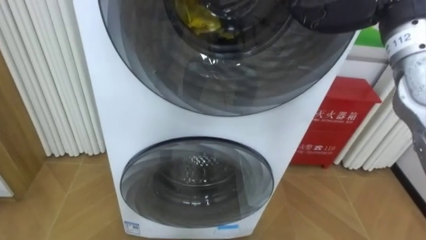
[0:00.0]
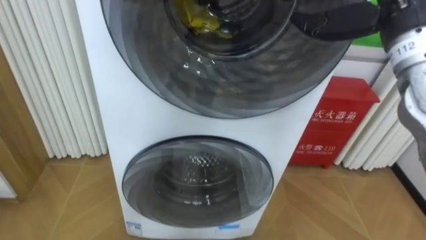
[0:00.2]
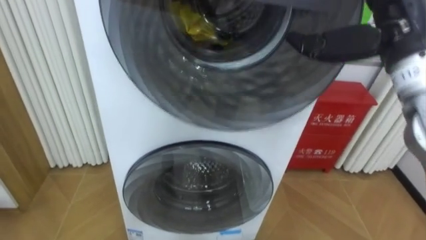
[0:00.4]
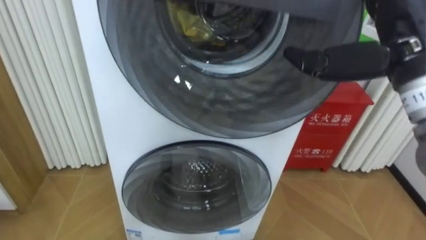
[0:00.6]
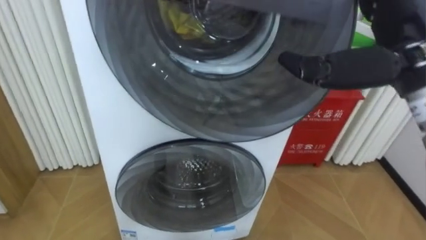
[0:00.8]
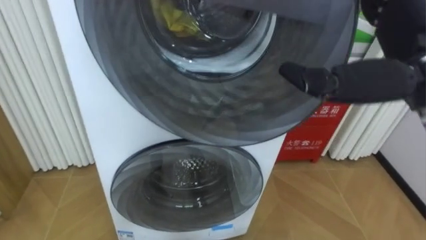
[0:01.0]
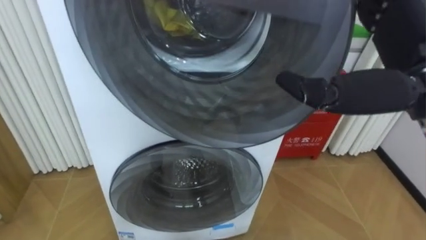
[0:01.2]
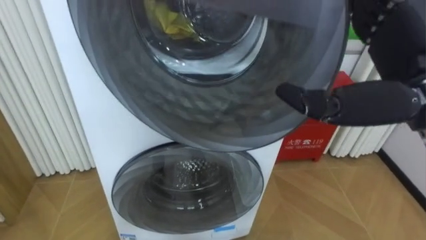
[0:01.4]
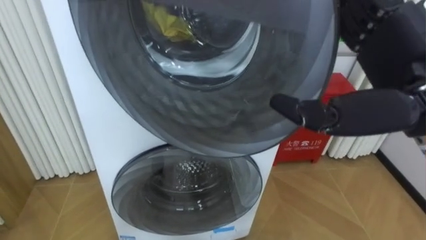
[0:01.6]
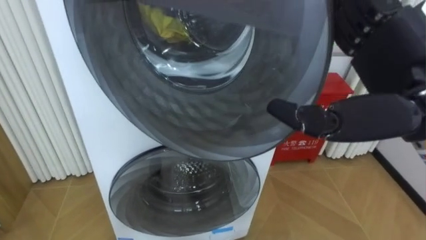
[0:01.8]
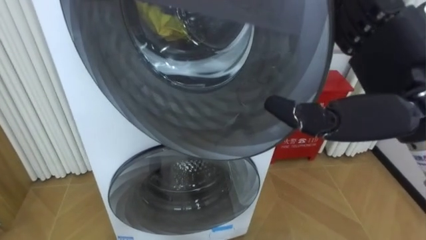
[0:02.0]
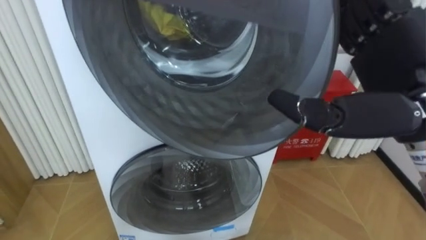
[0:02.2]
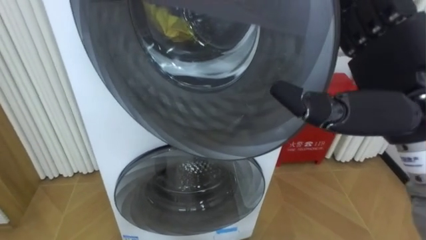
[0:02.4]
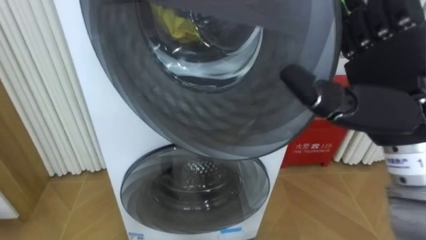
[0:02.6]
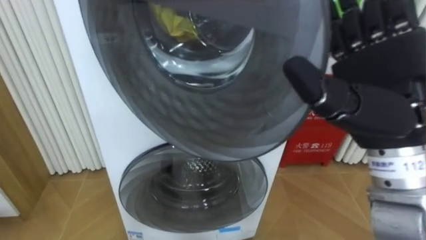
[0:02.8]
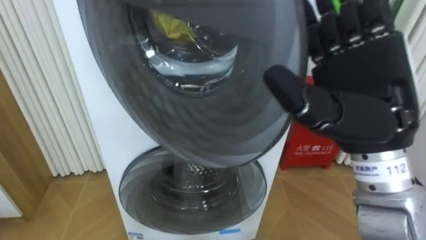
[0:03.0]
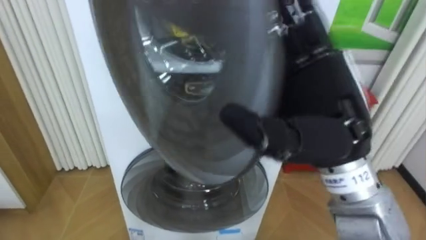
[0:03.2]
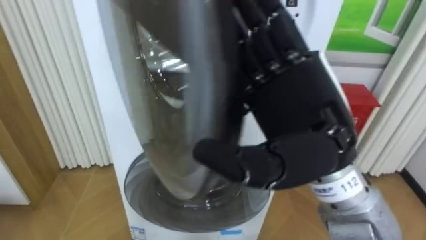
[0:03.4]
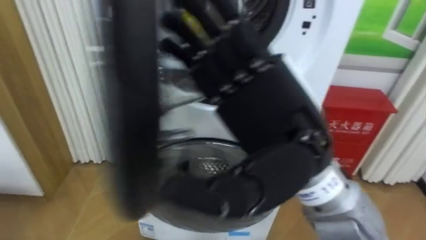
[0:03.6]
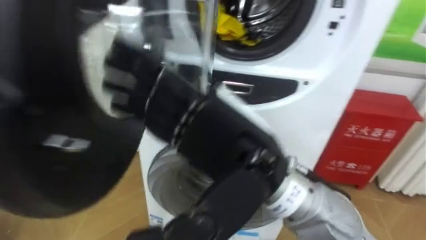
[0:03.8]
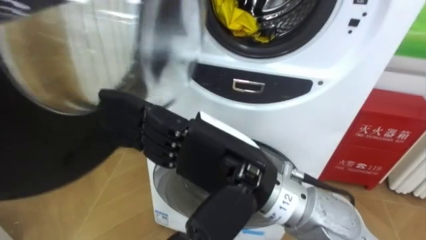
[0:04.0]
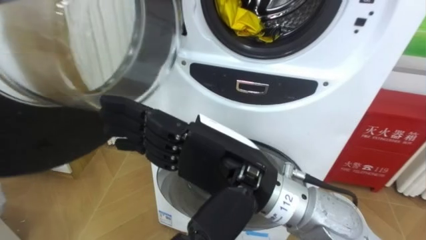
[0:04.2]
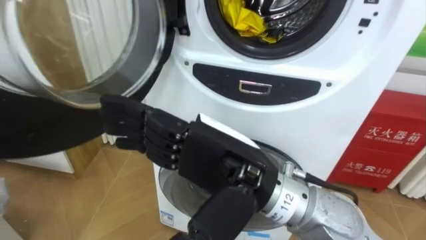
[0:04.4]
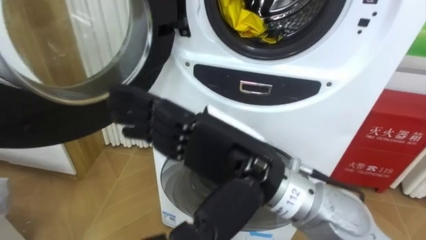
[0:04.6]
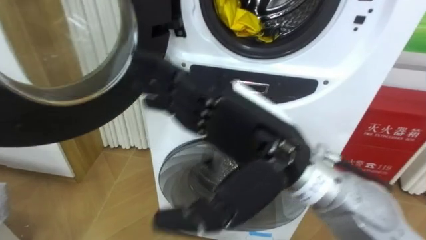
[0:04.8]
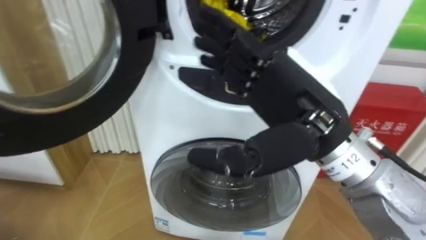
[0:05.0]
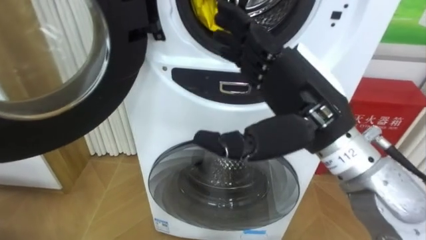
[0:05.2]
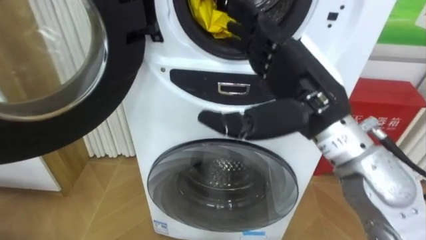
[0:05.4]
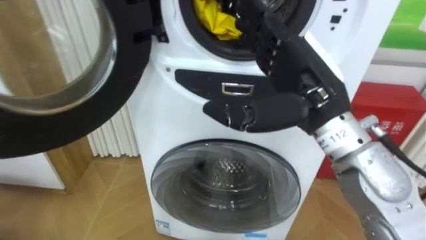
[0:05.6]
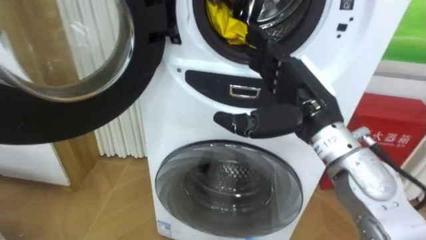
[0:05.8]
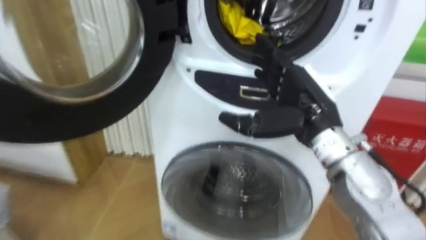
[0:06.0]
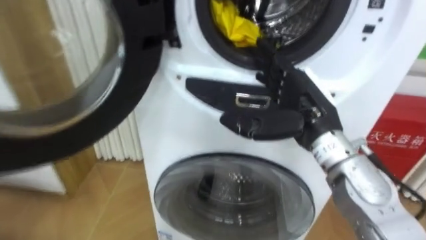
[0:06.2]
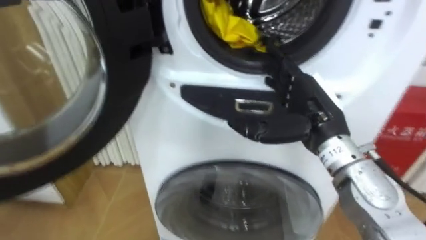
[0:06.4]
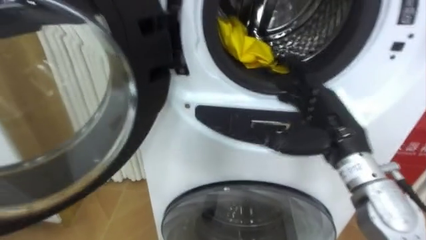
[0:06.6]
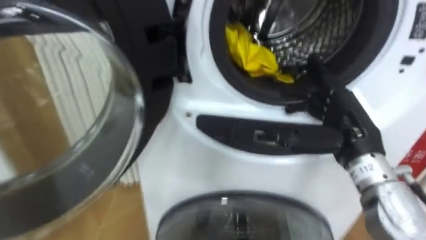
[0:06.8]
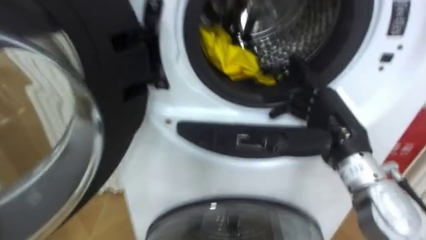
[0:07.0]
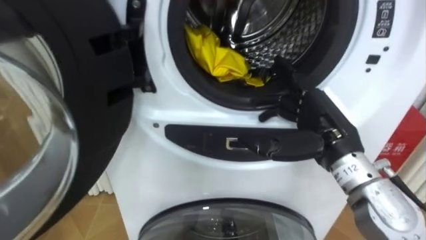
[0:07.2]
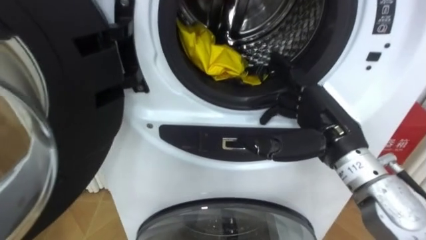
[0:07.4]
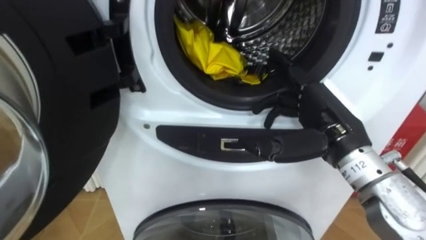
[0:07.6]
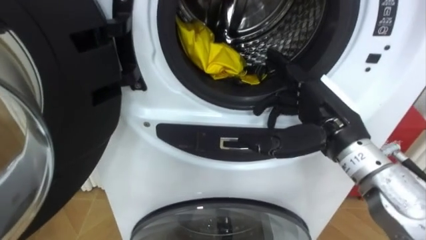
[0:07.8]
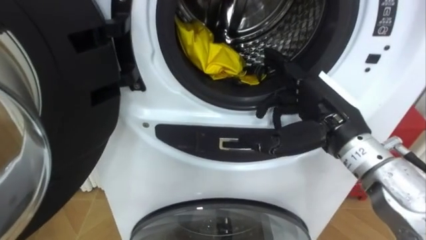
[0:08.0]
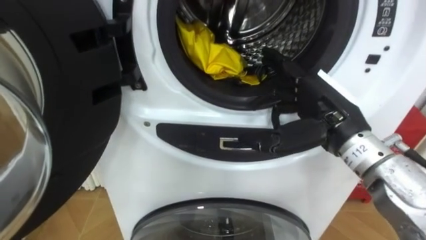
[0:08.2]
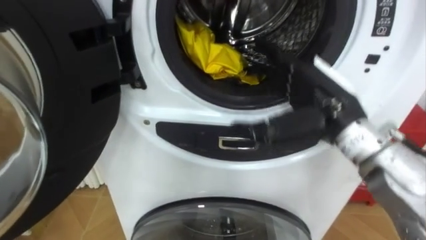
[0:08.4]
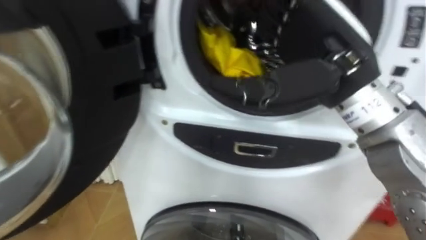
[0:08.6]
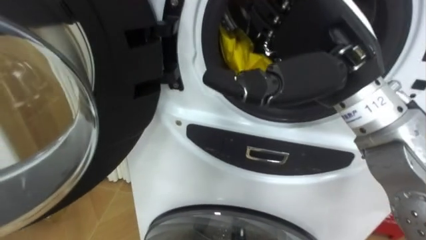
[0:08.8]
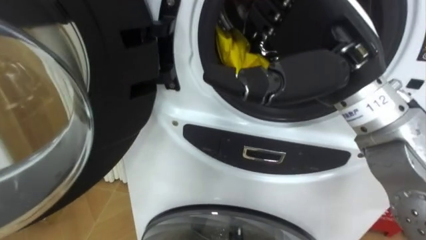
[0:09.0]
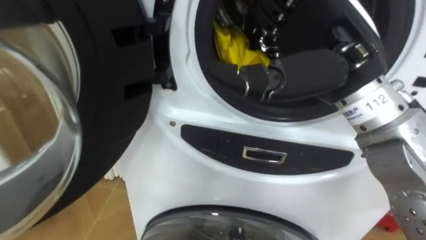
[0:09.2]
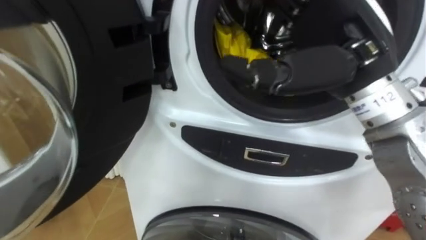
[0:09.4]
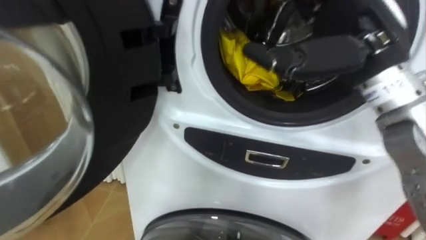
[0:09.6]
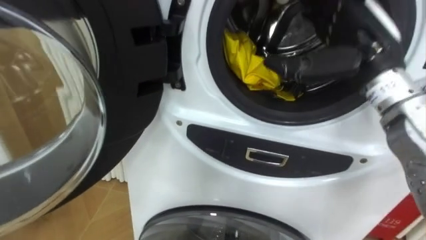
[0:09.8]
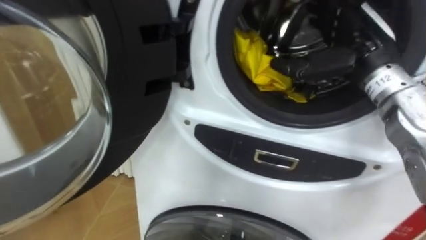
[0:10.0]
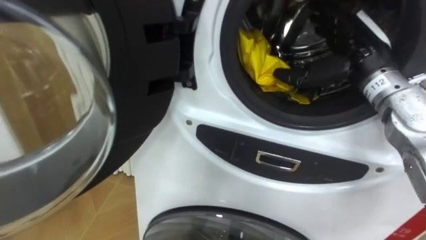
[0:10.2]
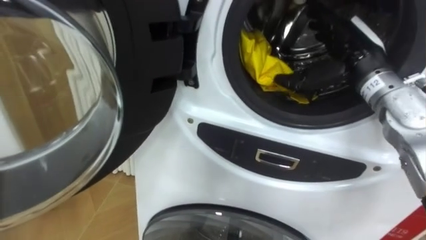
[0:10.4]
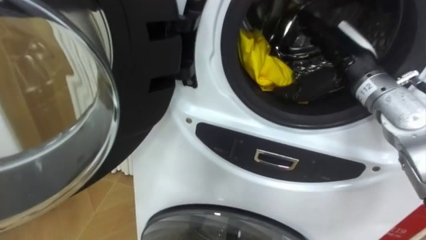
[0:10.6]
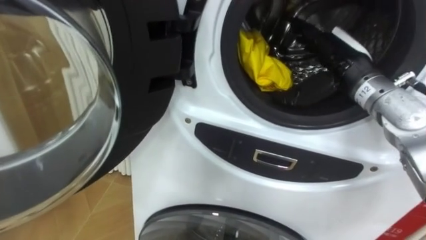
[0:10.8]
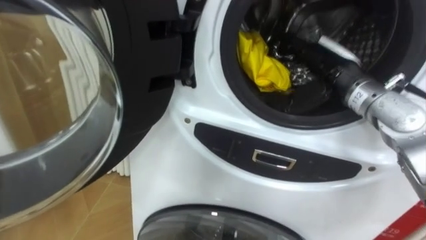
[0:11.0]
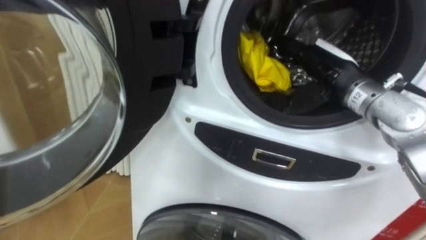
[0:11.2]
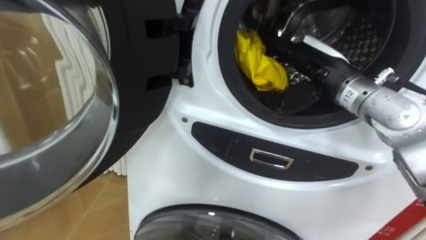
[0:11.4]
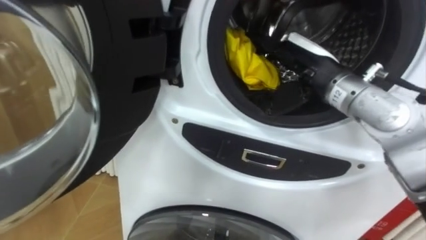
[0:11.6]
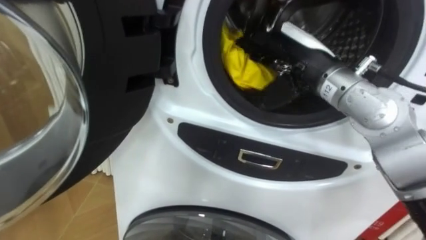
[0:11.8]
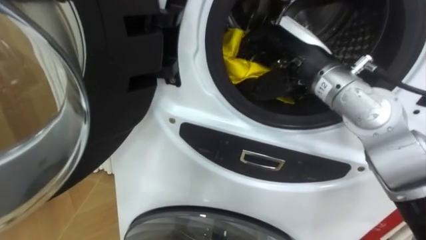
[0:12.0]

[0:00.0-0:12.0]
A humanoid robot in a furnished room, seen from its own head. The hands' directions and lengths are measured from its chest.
Task of the whole recording: Open the washing machine door, take out the yellow clothes, place them in the box on the right, and close the washing machine door.
0:03.0 to 0:04.4: The right hand shifts some 15 cm to the left.
0:04.4 to 0:06.0: The right hand shifts some 15 cm to the right and forward.
0:07.6 to 0:09.0: The right hand shifts approximately 15 cm upward.
0:09.0 to 0:10.4: The right hand heads forward, to the right and downward, covering approximately 20 cm.
0:10.4 to 0:12.0: The right hand goes approximately 10 cm to the left, and closes its fingers.

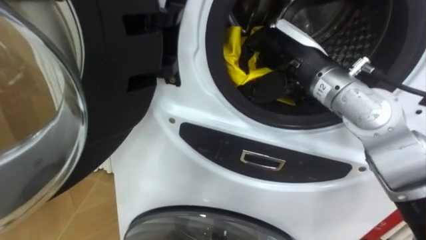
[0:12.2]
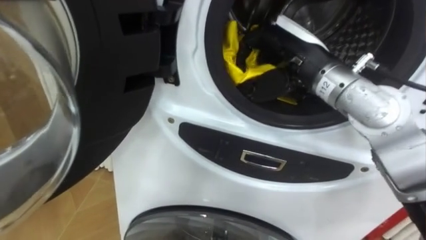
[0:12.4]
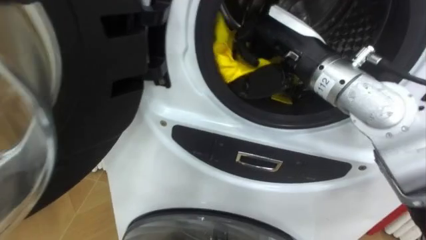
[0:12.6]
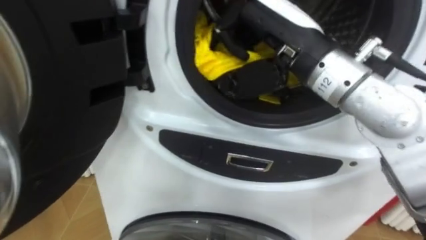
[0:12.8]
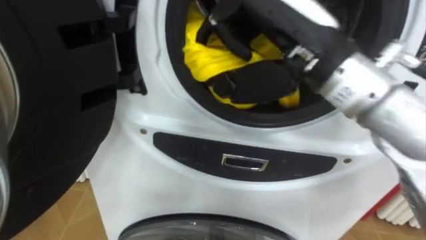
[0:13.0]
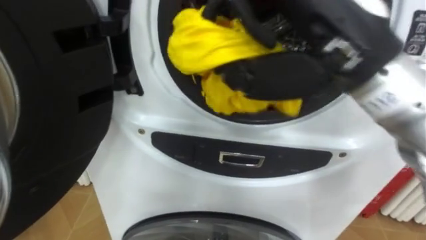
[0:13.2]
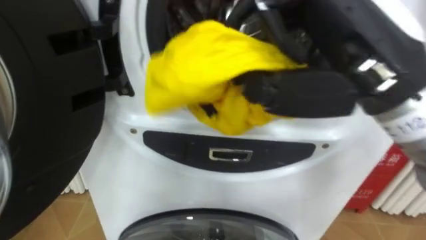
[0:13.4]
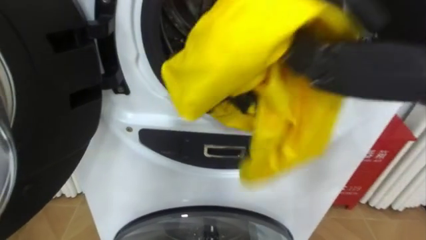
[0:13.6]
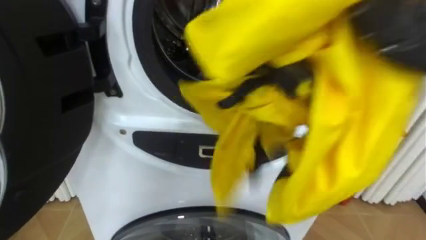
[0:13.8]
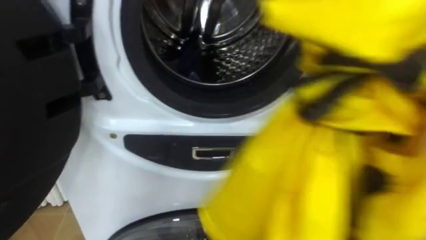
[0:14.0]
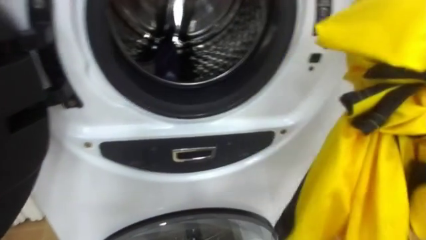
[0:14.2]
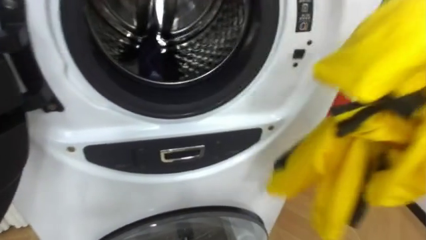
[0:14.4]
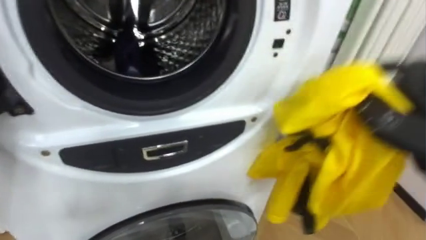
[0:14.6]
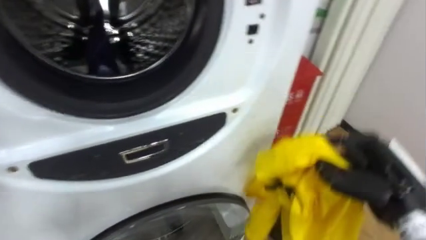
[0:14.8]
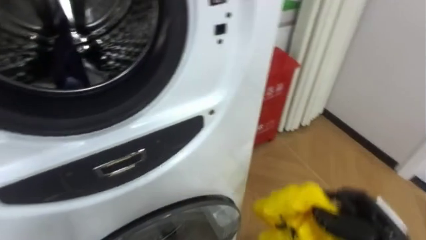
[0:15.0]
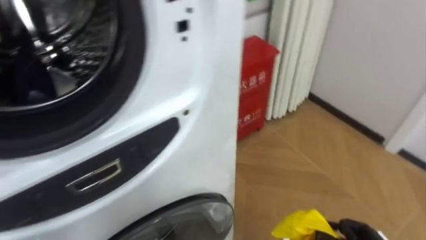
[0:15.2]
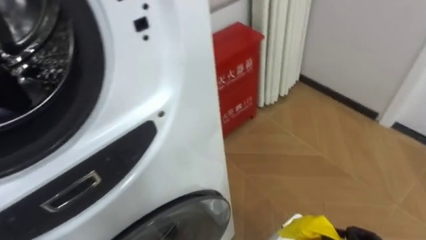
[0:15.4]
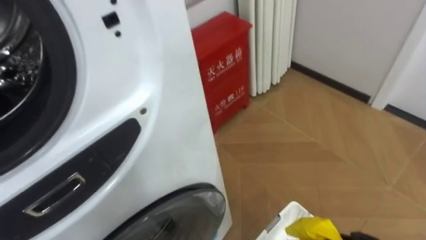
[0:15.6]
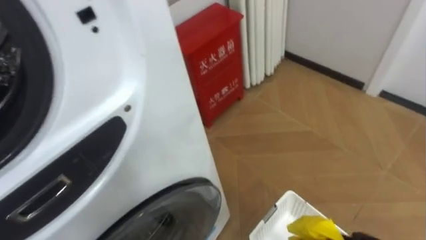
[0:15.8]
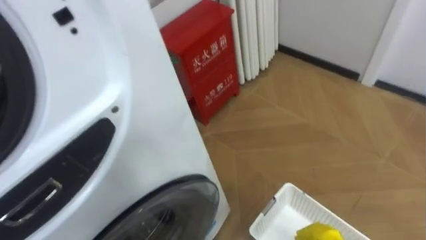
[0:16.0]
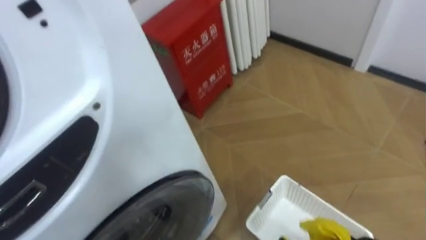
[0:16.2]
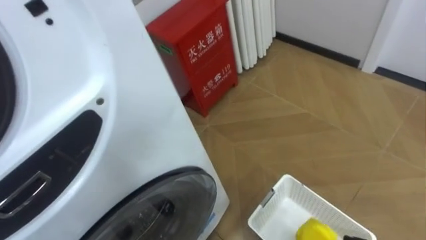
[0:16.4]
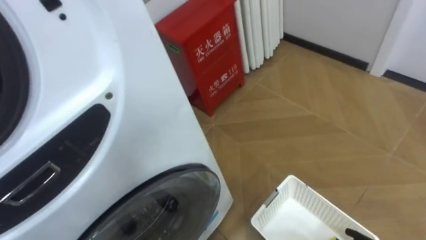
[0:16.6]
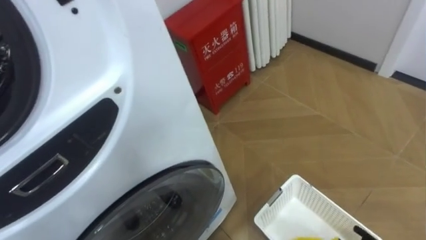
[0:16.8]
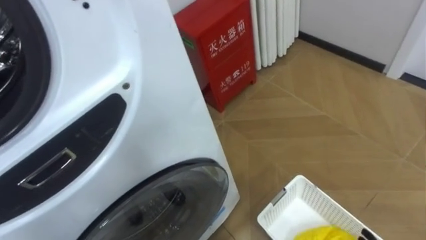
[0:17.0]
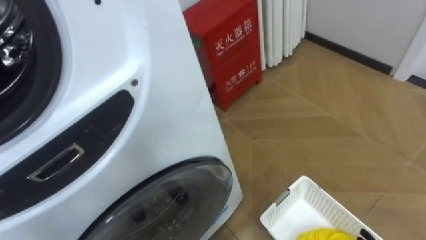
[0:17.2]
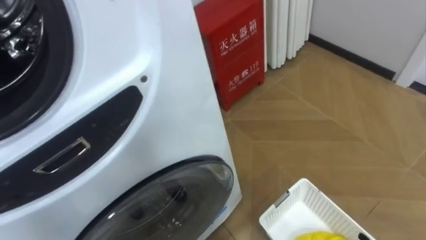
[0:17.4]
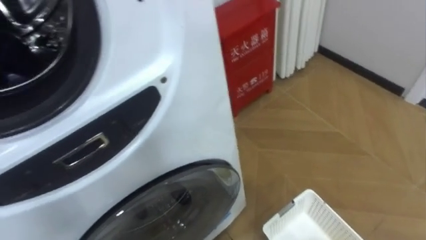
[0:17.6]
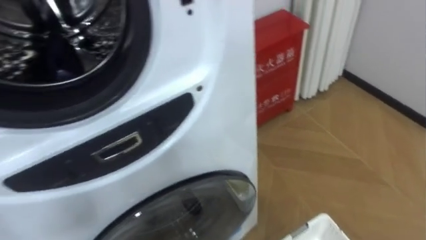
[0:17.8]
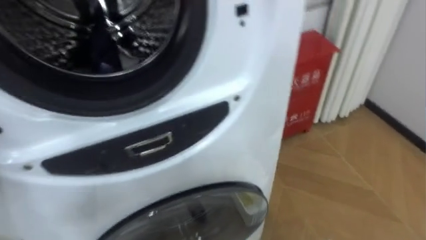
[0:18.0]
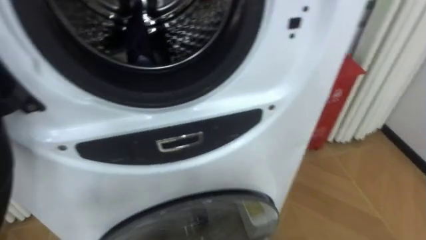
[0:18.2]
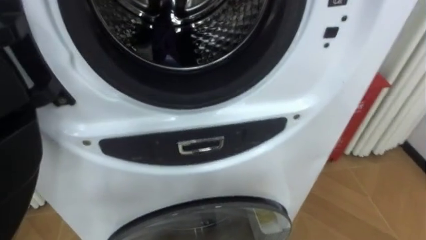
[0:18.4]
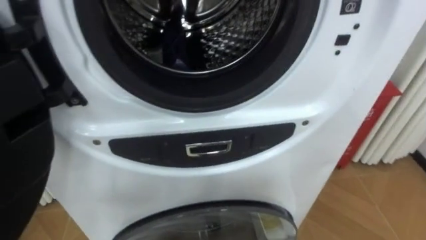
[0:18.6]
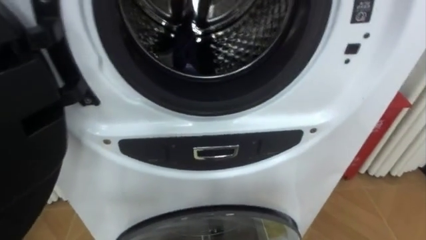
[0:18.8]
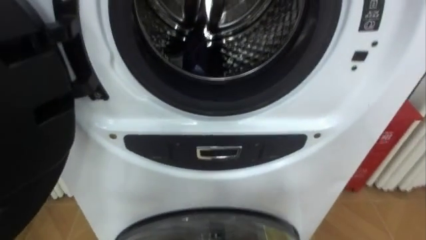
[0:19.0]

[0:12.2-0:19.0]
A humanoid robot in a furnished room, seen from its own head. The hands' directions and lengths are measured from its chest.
Task of the whole recording: Open the washing machine door, take out the yellow clothes, place them in the box on the right, and close the washing machine door.
0:12.2 to 0:13.6: The right hand heads backward and upward, covering approximately 20 cm.
